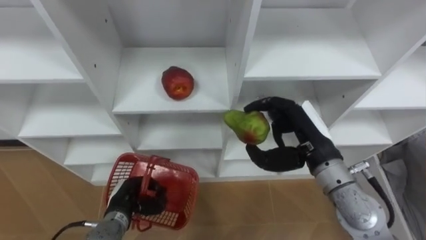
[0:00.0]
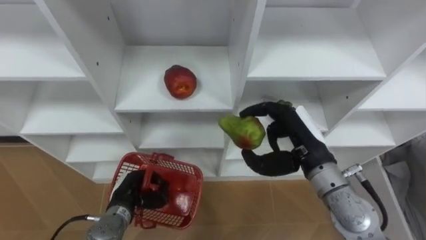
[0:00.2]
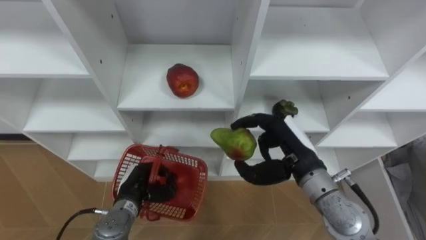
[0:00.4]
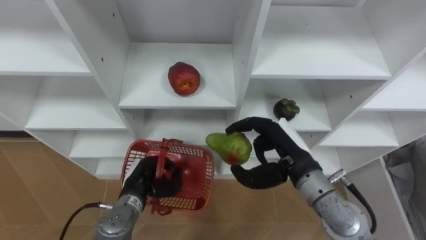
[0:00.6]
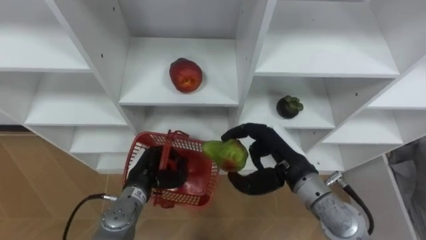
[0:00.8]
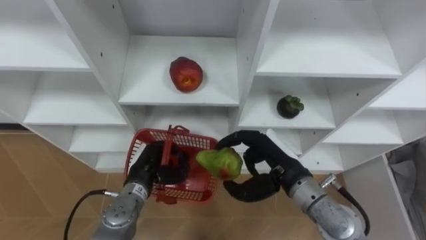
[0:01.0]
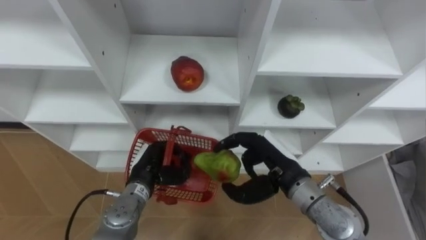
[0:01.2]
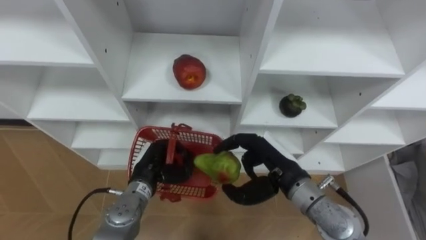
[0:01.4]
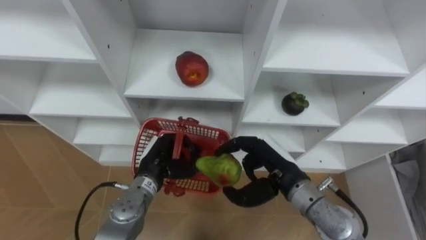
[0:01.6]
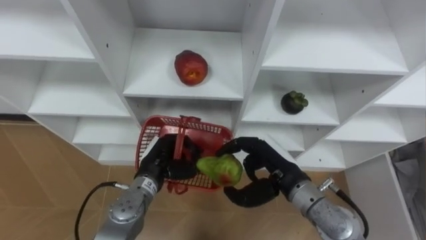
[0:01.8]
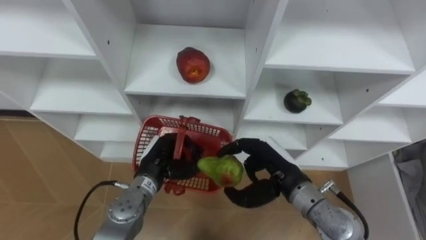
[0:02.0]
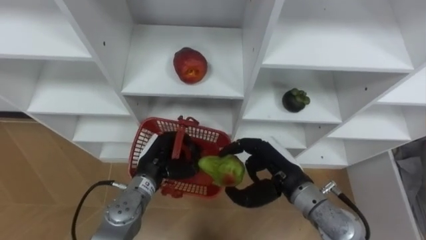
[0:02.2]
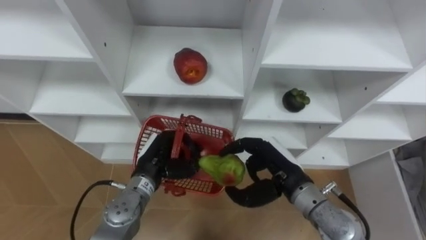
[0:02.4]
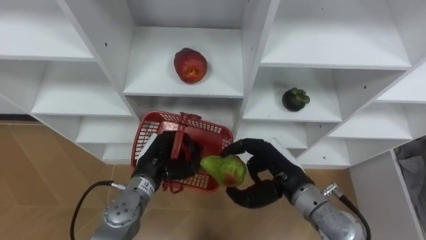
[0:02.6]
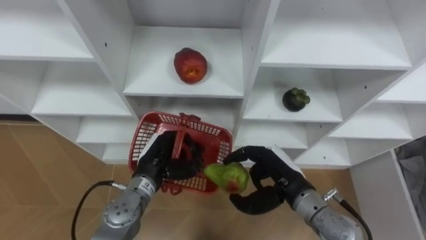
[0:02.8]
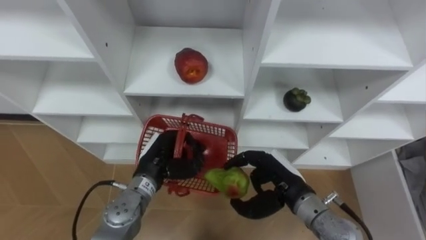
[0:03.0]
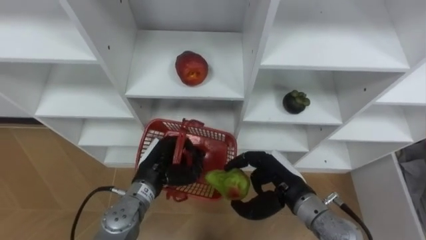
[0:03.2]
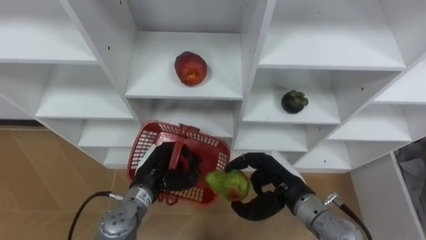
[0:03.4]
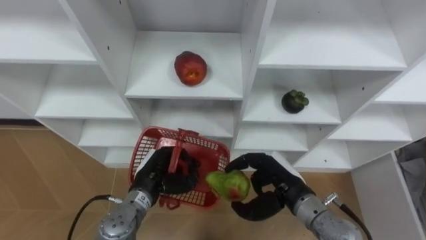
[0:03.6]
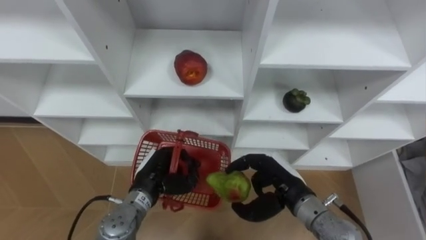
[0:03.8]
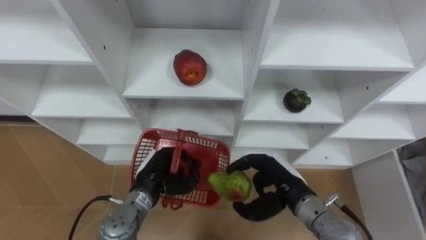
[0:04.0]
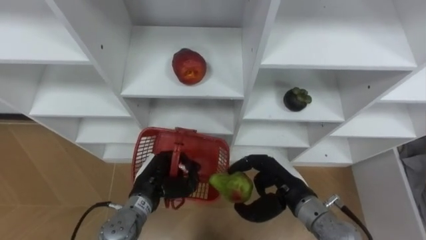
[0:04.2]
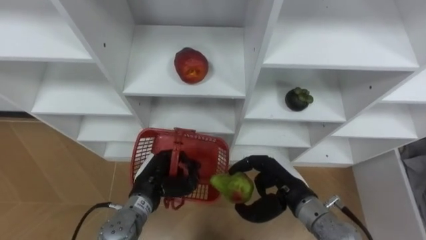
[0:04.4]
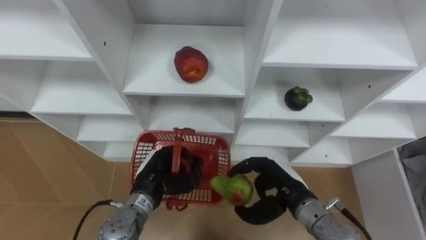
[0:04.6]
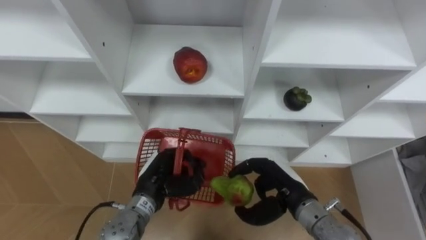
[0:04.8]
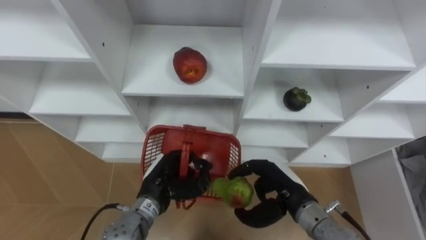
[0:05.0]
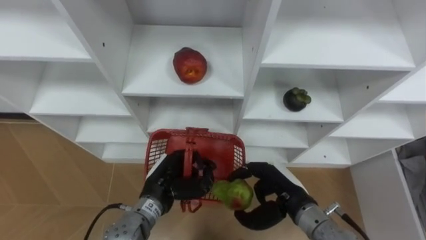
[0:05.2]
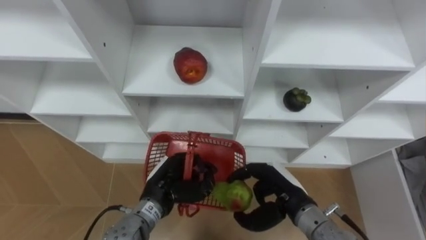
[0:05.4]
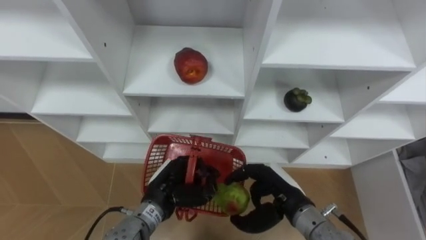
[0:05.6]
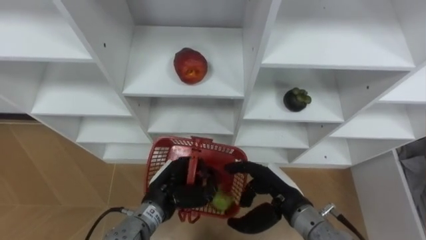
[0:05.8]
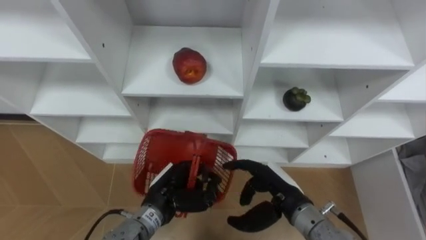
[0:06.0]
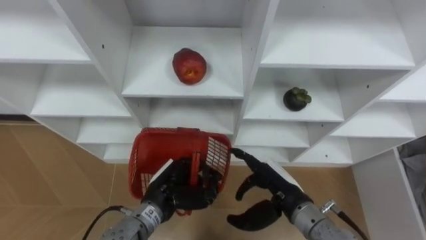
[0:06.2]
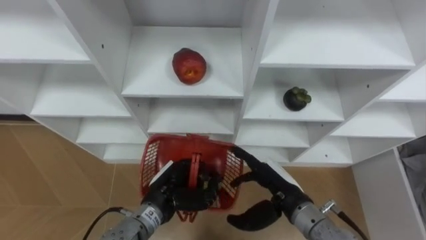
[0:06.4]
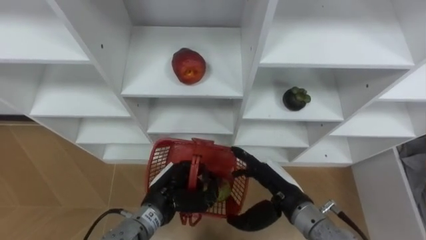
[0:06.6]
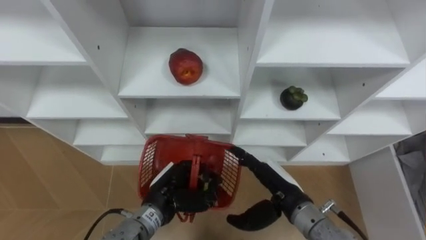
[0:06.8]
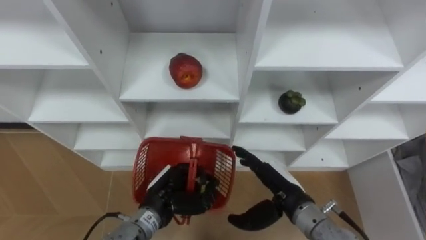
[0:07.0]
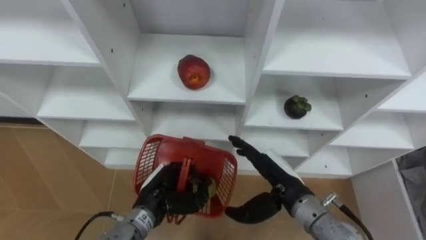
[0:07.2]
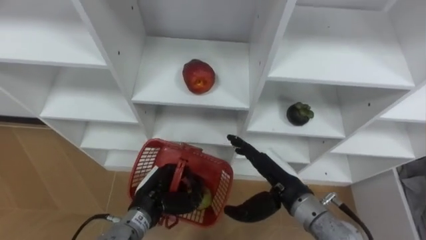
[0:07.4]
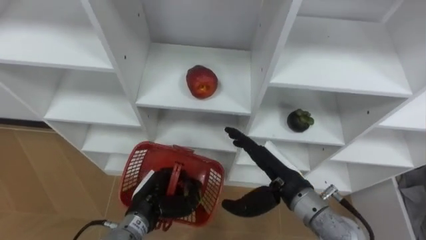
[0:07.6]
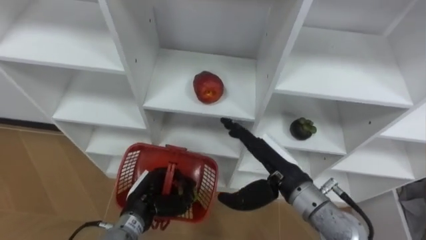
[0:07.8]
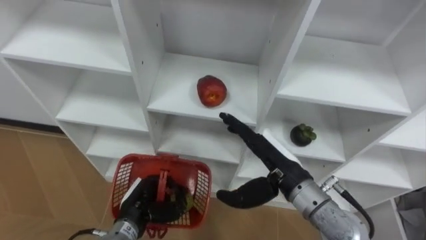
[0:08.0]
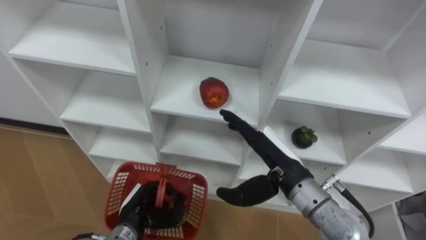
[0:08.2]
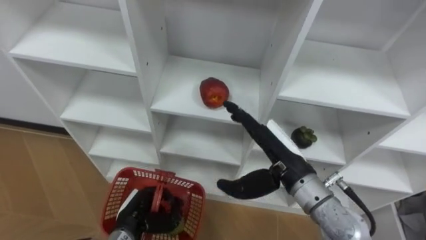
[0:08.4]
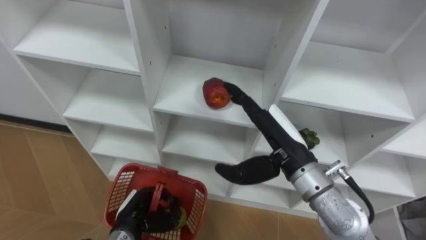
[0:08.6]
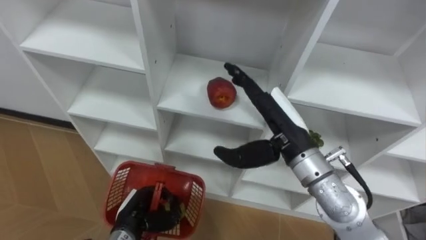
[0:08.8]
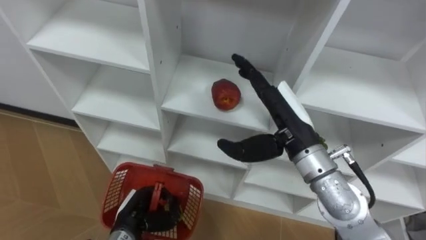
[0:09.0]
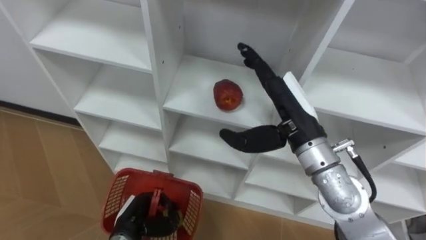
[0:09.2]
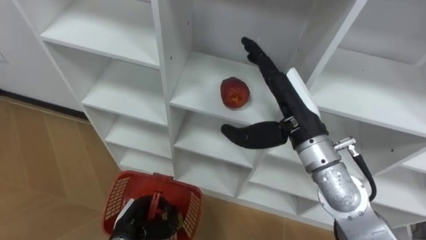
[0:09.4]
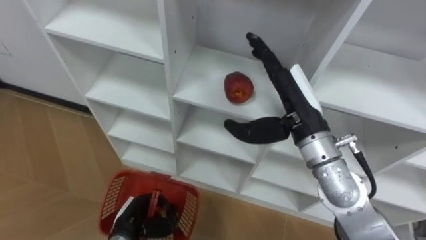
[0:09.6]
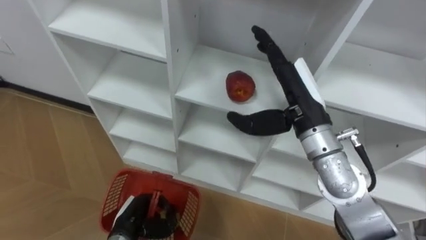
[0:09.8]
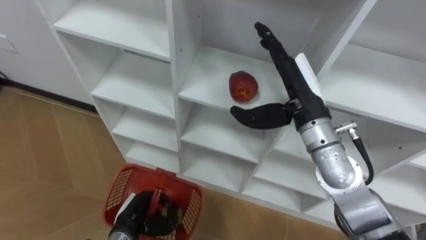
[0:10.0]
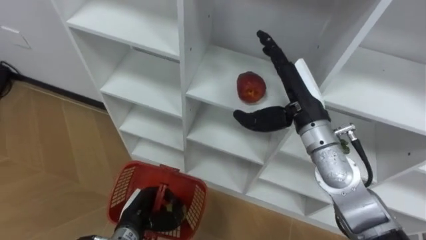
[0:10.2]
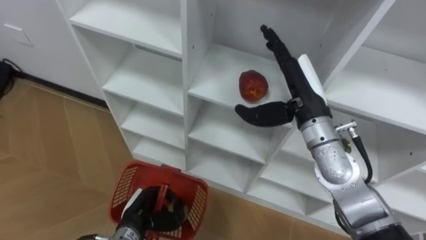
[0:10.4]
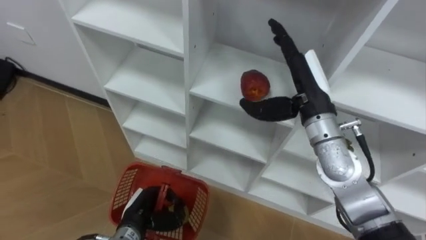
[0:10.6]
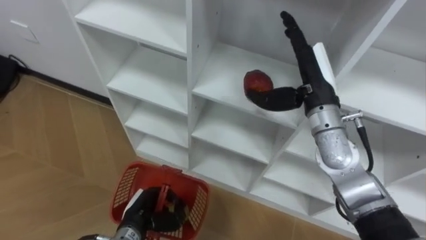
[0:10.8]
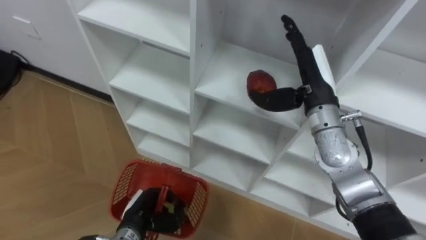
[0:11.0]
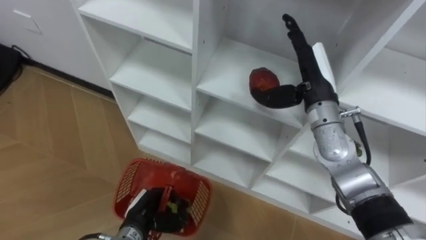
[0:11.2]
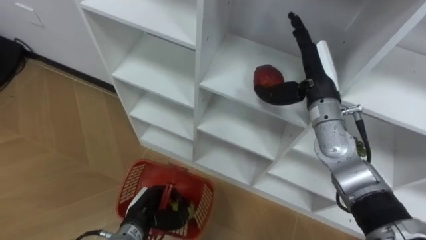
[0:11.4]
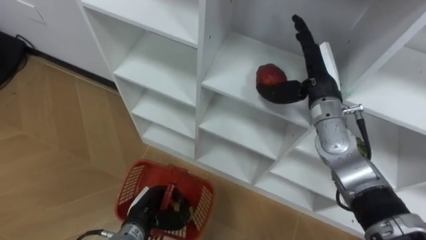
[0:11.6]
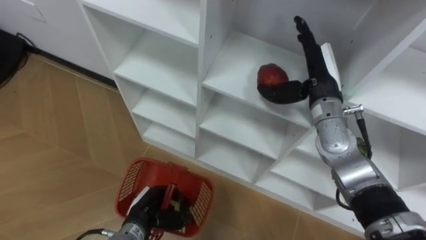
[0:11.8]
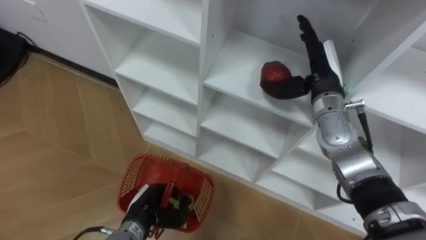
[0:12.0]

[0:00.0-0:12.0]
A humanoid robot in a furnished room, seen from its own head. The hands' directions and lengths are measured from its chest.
Task of the whole recording: Hold the basket and collect the fruits from 3 different cells of the closet into it.
0:00.0 to 0:01.6: The left hand moves upward, to the right and forward, some 10 cm, while the right hand is displaced downward and to the left by about 10 cm.
0:03.0 to 0:04.4: The hands stay close to where they were, moving slightly.
0:04.4 to 0:06.0: There are only small adjustments of the hands.
0:06.0 to 0:07.6: The right hand opens its fingers.
0:07.6 to 0:09.0: The right hand moves upward, some 10 cm, while the left hand ends up roughly 5 cm from where it was.
0:09.0 to 0:10.4: The right hand is displaced forward by roughly 5 cm.
0:10.4 to 0:12.0: The right hand heads forward, covering about 5 cm.

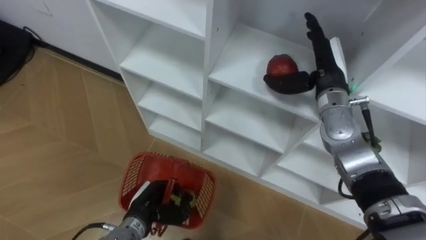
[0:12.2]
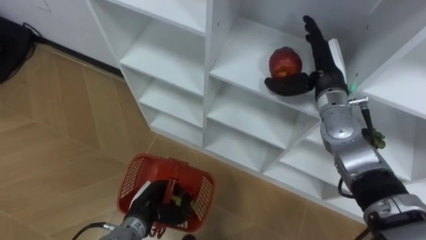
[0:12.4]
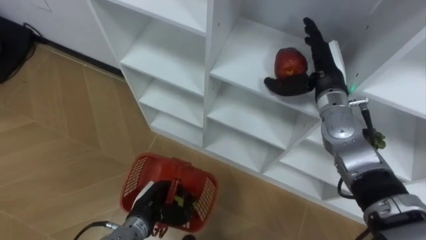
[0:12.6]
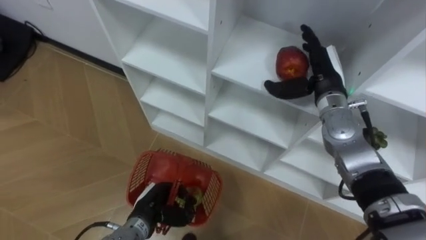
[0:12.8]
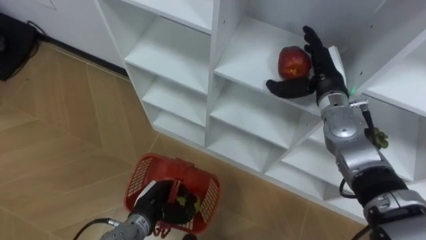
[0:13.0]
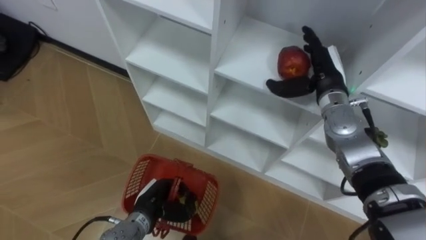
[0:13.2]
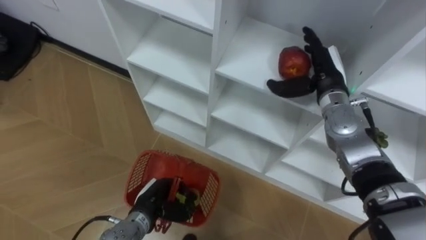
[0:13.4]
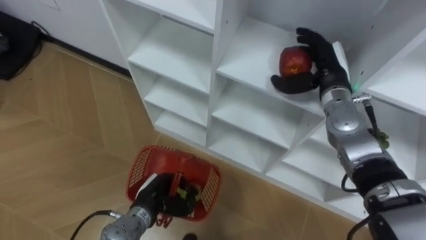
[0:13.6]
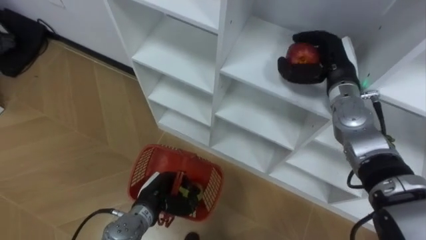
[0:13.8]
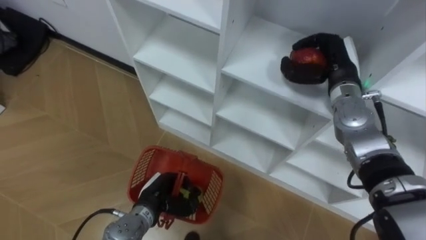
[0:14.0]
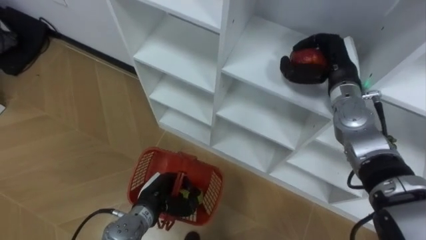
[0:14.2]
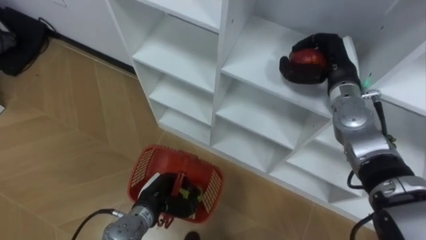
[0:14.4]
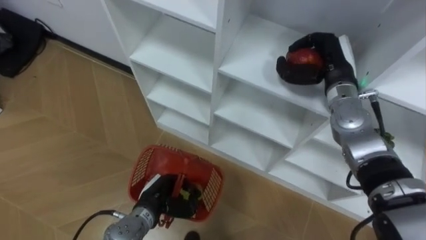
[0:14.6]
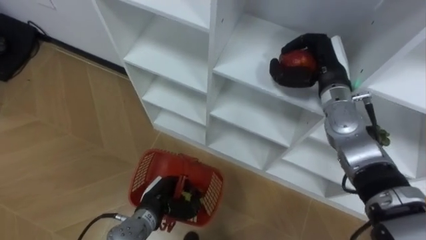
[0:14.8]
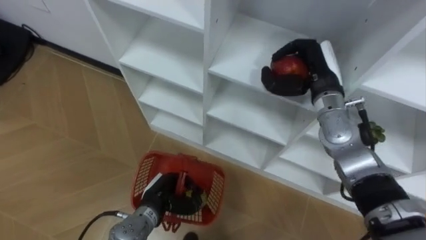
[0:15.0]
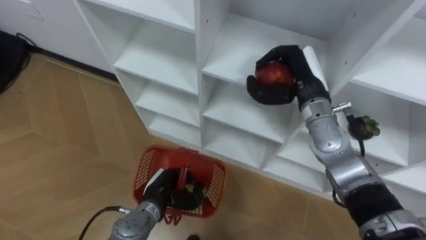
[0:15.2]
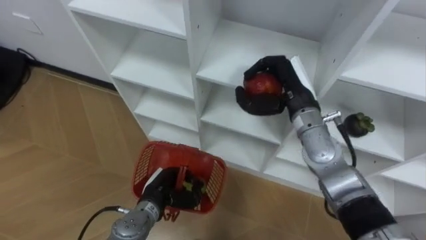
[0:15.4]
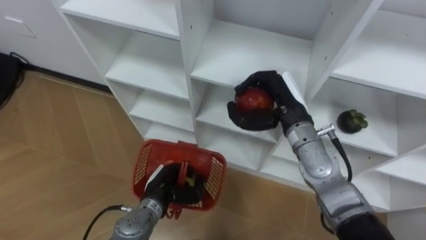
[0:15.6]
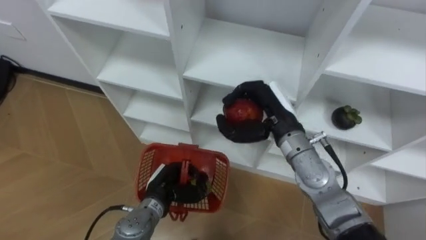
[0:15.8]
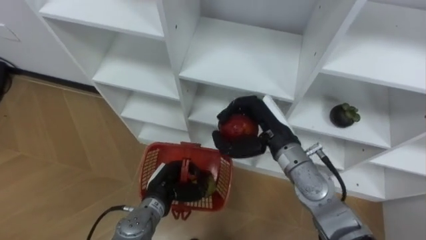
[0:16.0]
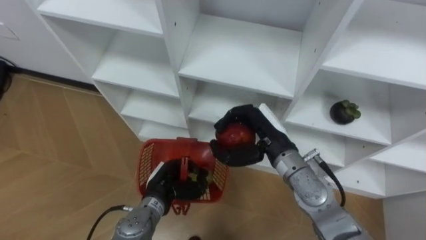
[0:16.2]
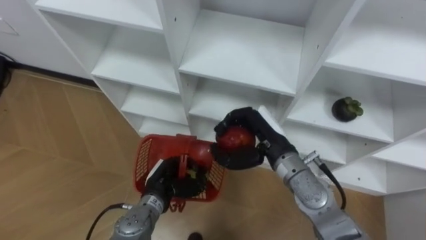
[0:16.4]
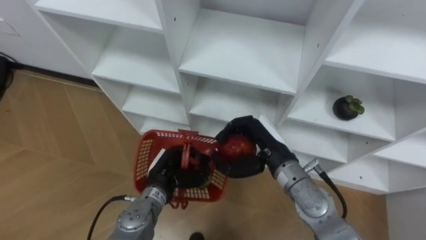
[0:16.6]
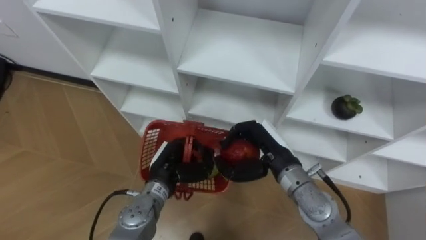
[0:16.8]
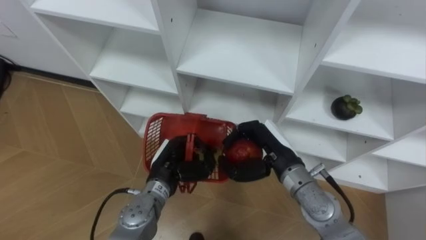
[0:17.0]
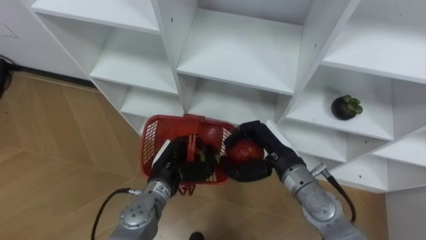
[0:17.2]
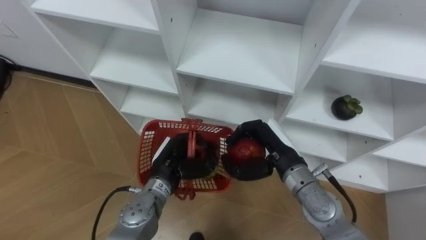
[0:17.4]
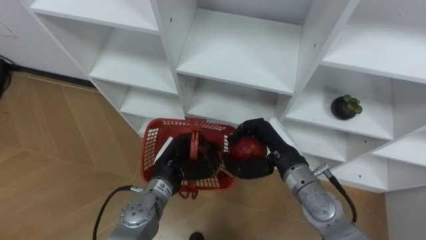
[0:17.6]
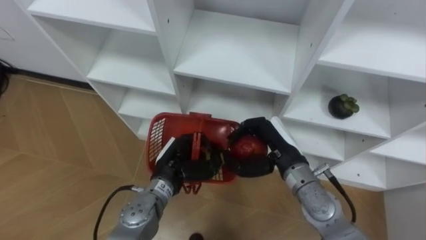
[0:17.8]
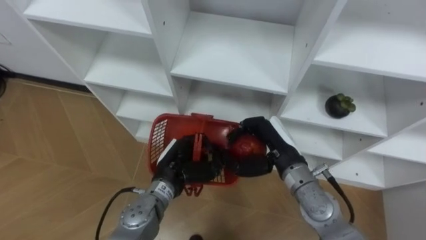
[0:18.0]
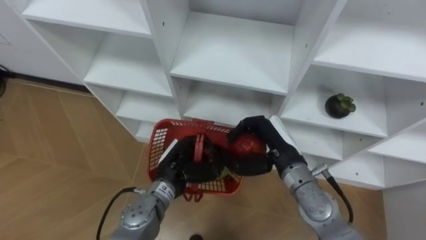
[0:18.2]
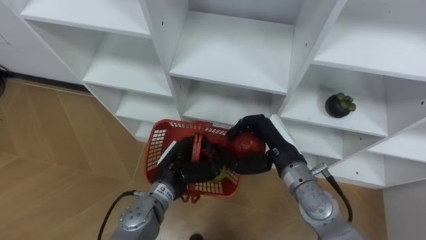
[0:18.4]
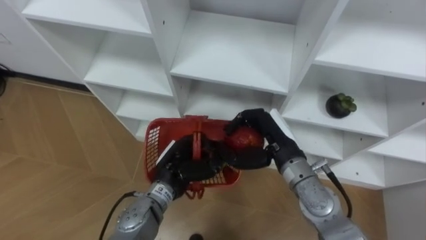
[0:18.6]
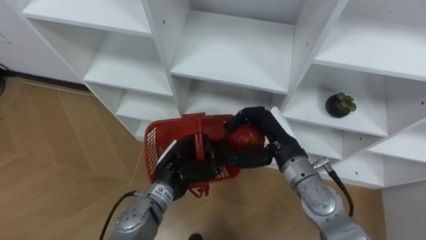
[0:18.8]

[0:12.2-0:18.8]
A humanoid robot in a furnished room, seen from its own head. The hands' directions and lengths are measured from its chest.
Task of the whole recording: Hold the basket and collect the fruits from 3 different cells of the closet into it.
0:12.2 to 0:13.8: The right hand closes its fingers.
0:13.8 to 0:15.4: The right hand heads to the left, covering roughly 10 cm.
0:15.4 to 0:17.2: The left hand is displaced upward by some 5 cm. Meanwhile the right hand travels backward and downward by approximately 10 cm.
0:17.2 to 0:18.8: There are only small adjustments of the hands.
